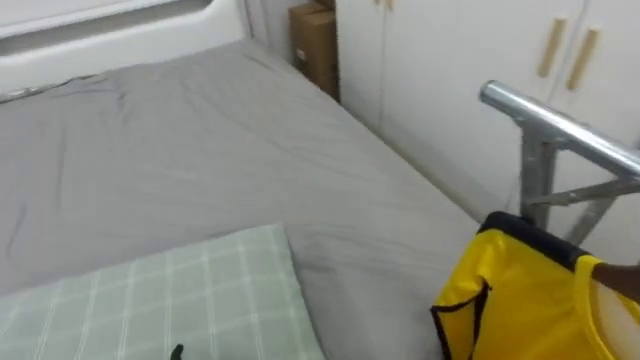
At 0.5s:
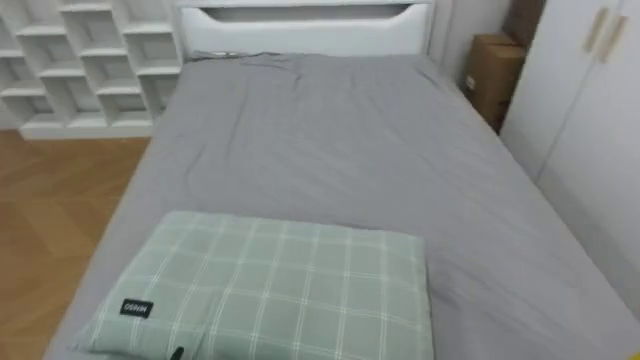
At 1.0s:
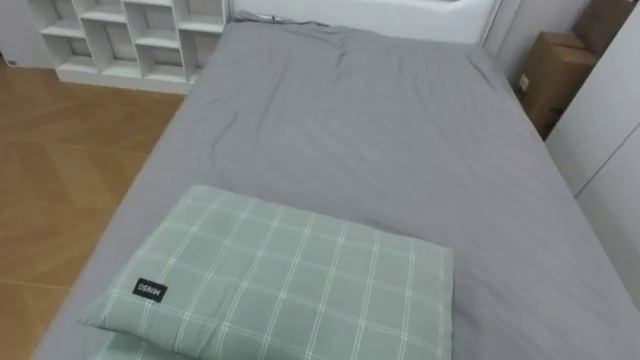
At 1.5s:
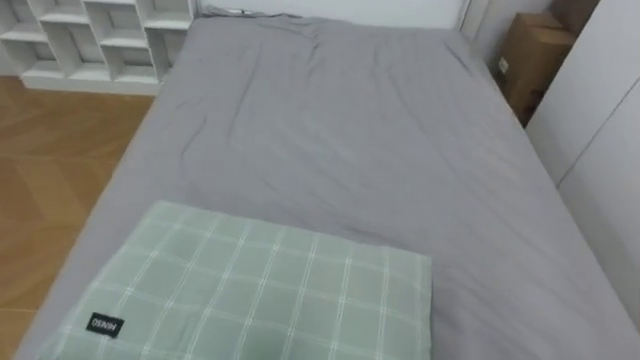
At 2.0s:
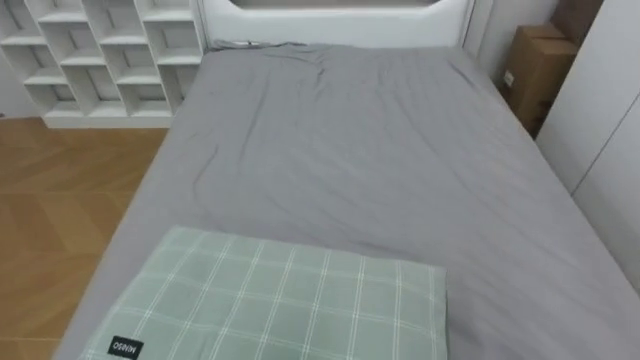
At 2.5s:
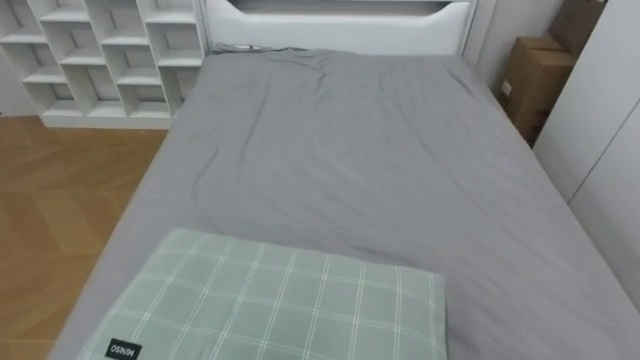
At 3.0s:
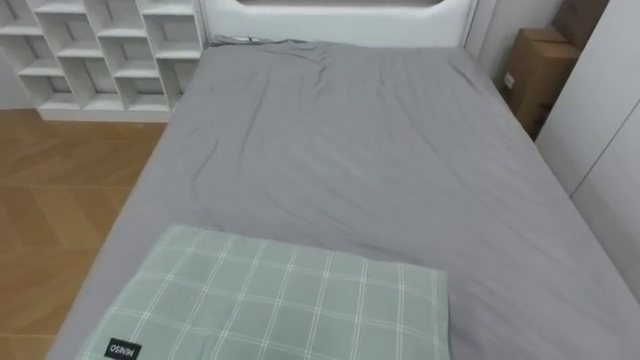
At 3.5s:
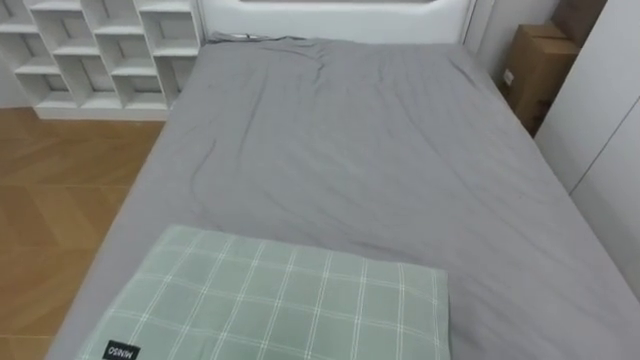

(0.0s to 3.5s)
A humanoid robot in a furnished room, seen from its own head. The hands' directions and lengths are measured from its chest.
Task of the whole recording: Pick up the yellow shirt on the bed and hang it on the clothes rack on the right.
0.0s - 2.0s: The robot turns to its left by approximately 30 degrees.

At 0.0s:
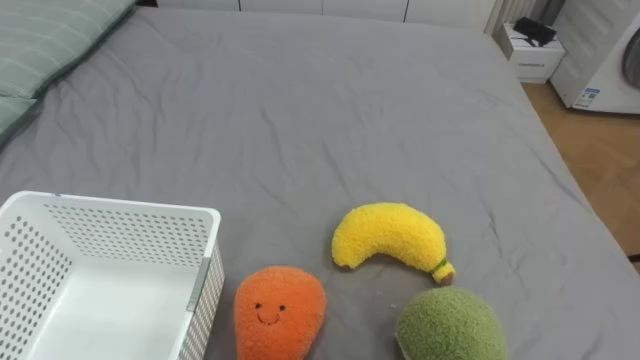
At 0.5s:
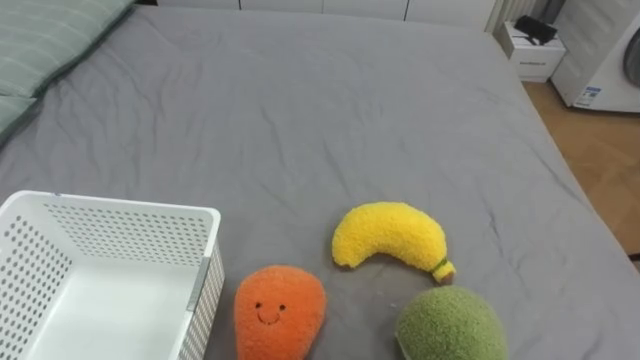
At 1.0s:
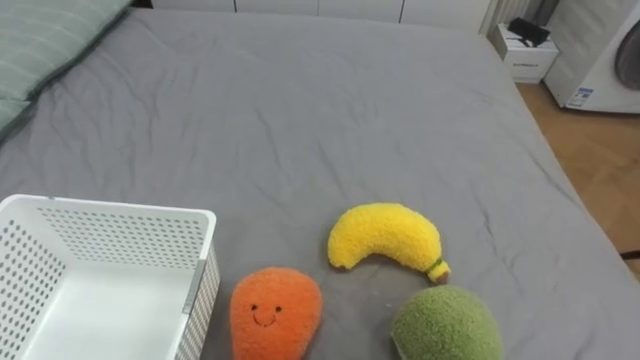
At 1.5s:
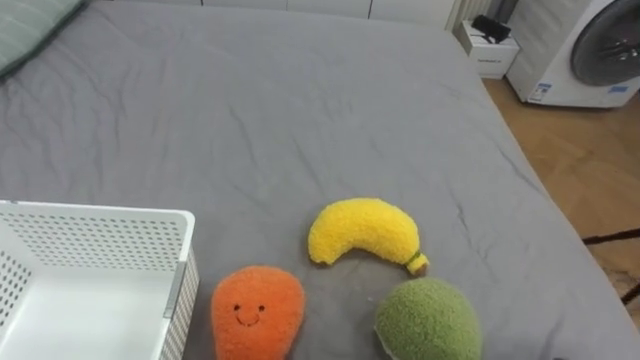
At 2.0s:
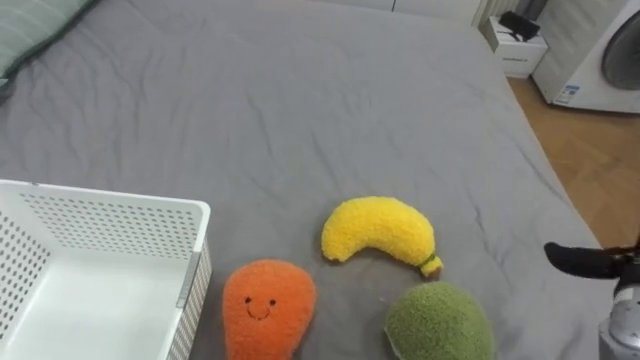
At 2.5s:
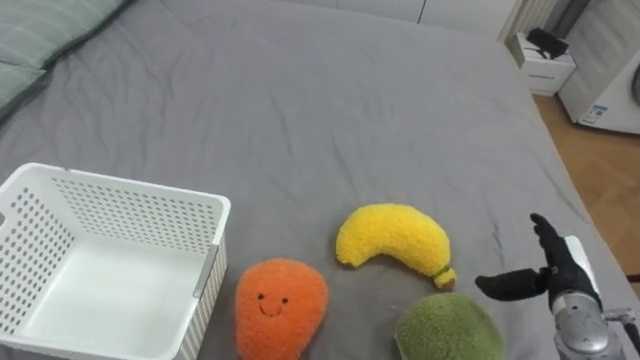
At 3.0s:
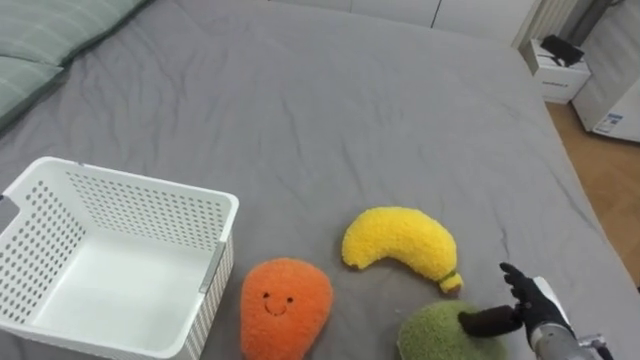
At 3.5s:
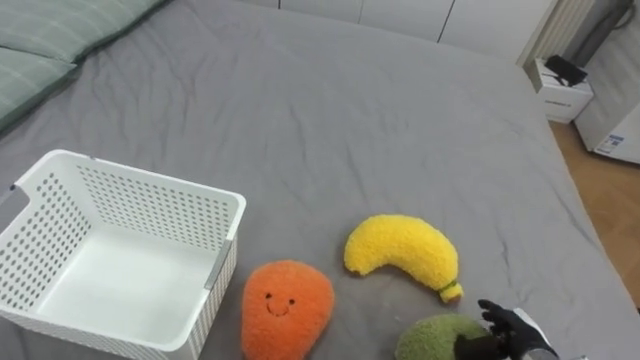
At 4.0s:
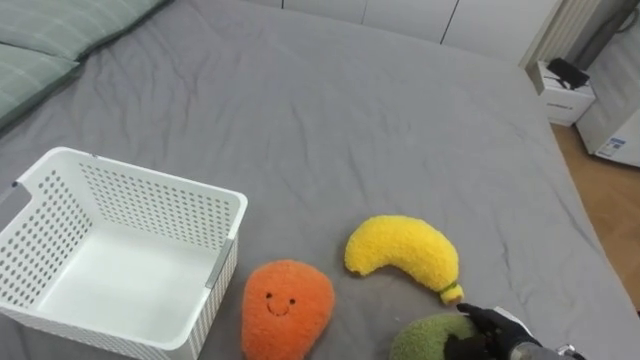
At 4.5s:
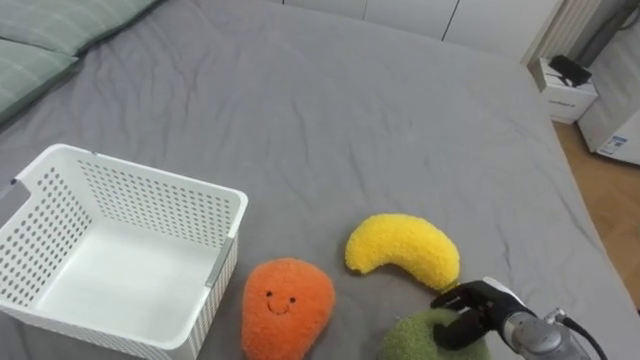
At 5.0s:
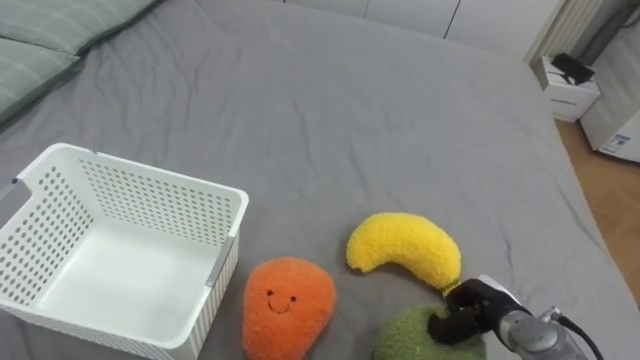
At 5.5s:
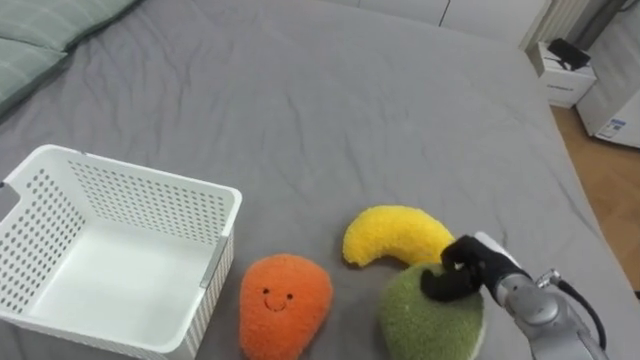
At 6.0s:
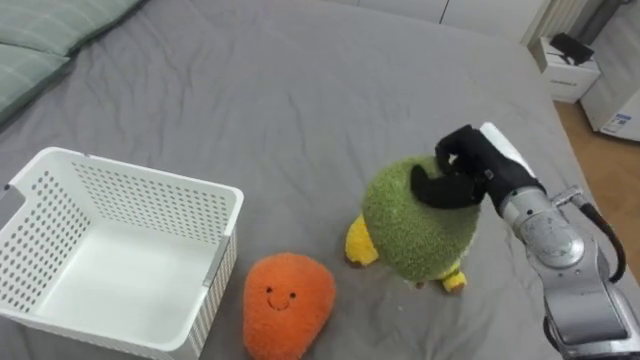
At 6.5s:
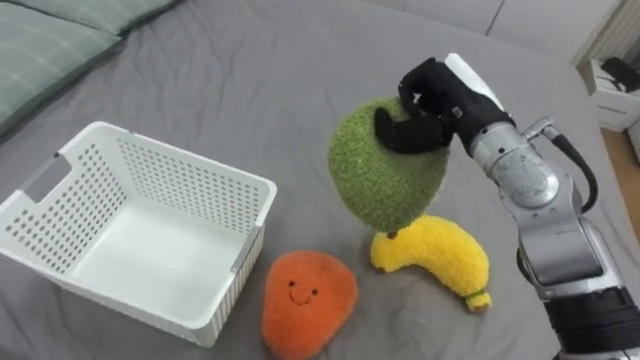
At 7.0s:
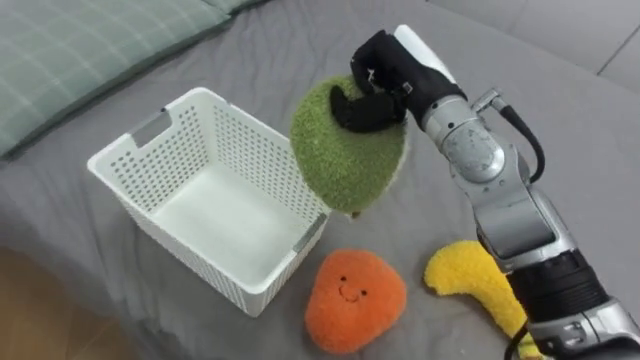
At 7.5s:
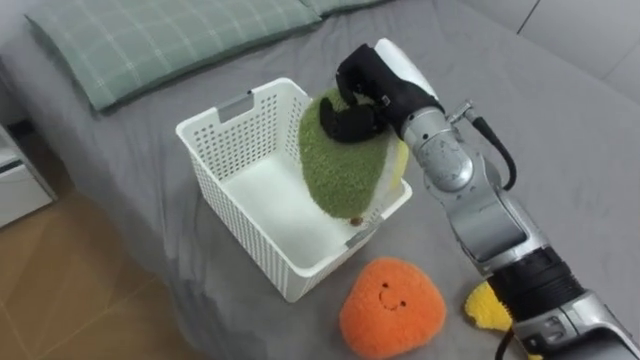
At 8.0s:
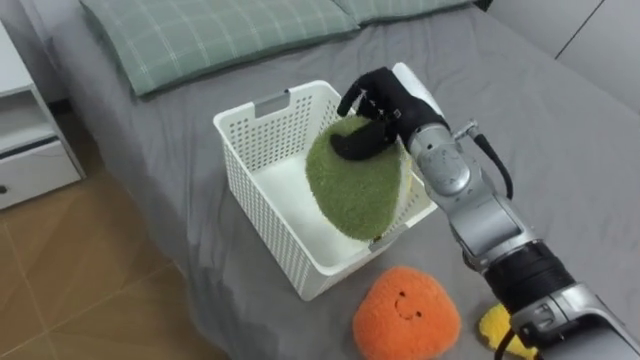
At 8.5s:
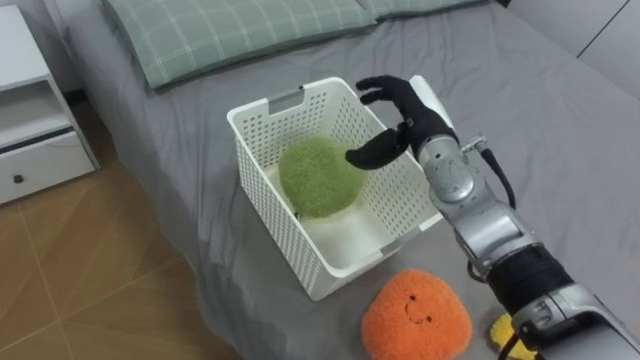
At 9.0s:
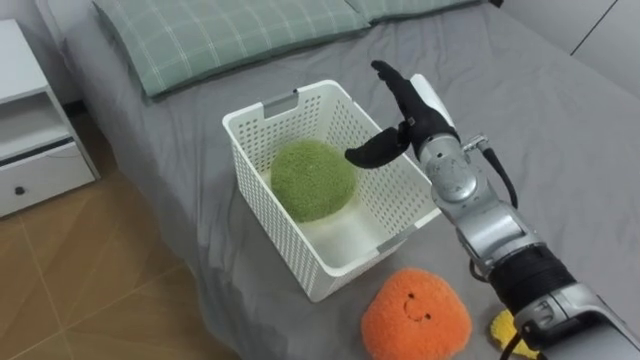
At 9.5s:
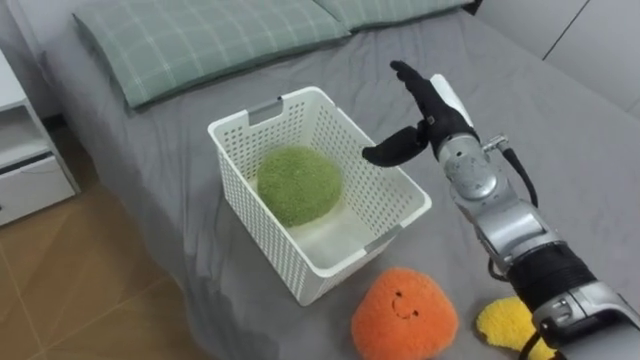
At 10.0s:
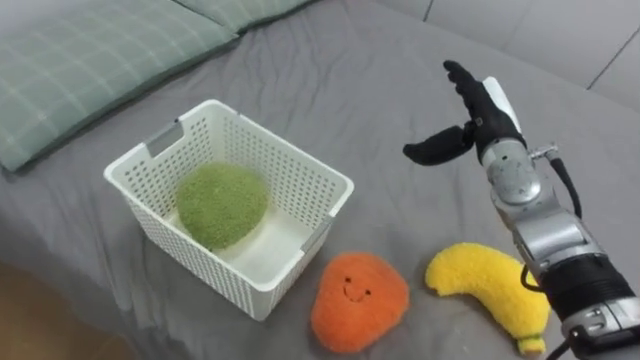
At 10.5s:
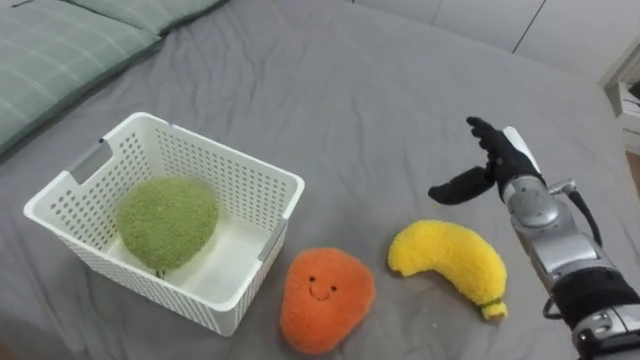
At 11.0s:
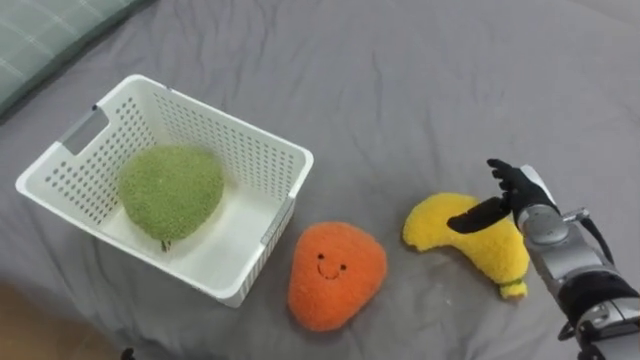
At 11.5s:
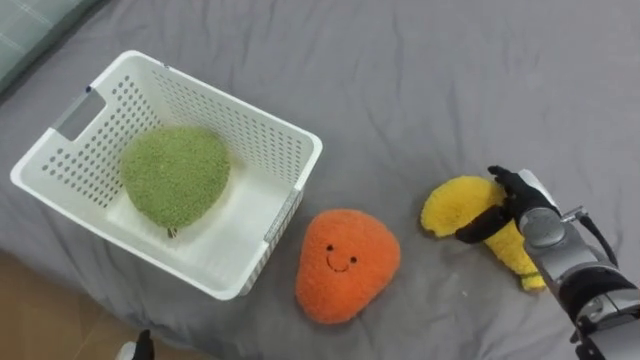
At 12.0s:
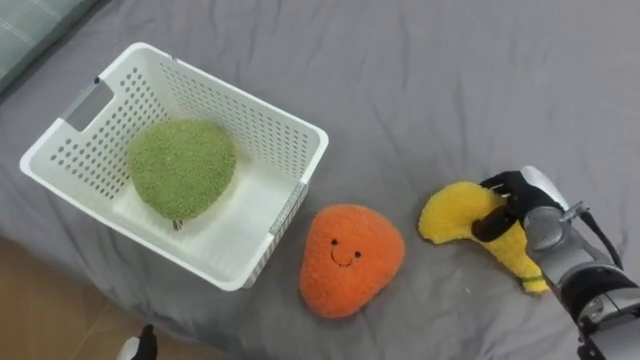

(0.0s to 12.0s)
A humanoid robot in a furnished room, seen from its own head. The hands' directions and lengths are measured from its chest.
Task of the whole recording: Put the toys on the bed into the basket on the left.
4.0s - 6.0s: The right hand heads upward and forward, covering about 25 cm, and closes its fingers.
6.0s - 8.0s: The right hand shifts some 15 cm to the left and forward.
8.0s - 10.0s: The right hand moves to the right, approximately 10 cm, and opens.
10.0s - 12.0s: The right hand goes about 15 cm downward and to the right.

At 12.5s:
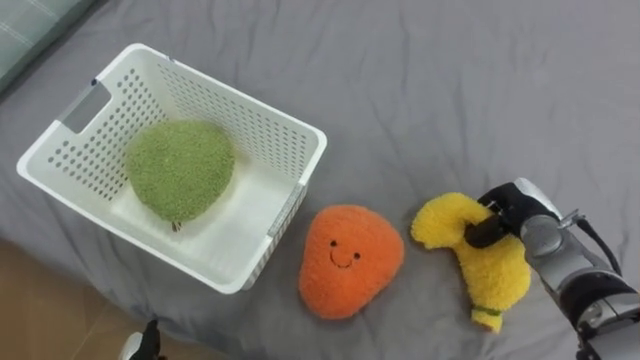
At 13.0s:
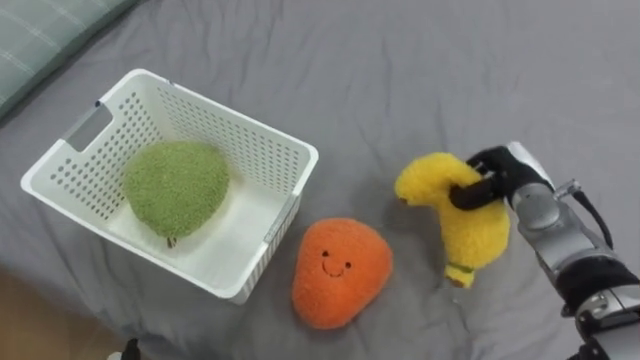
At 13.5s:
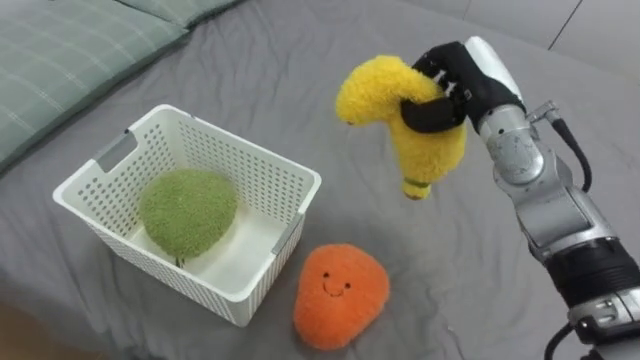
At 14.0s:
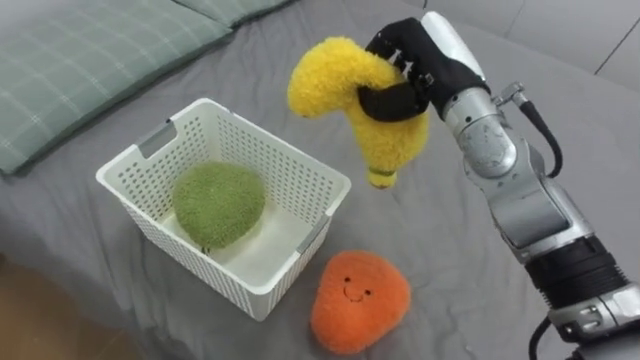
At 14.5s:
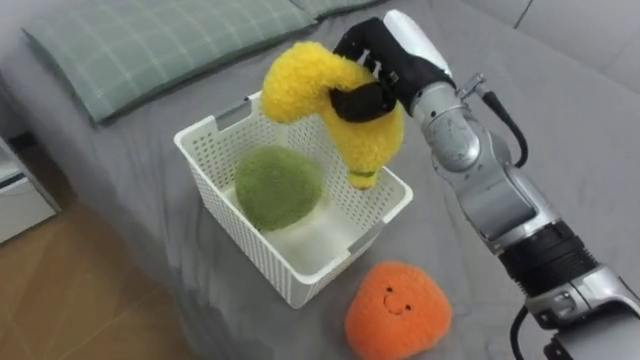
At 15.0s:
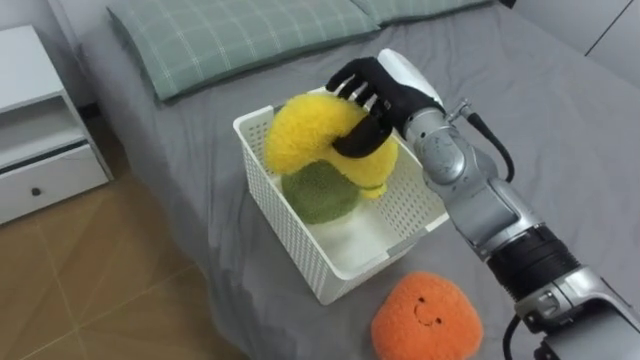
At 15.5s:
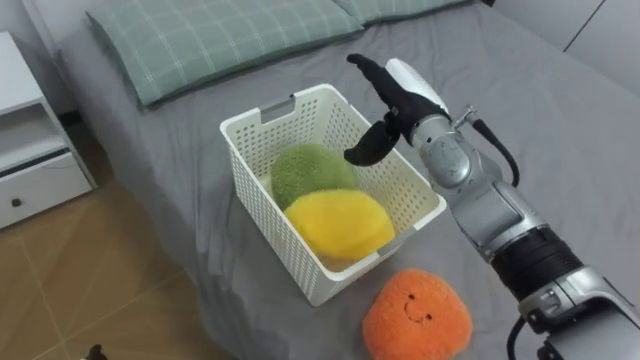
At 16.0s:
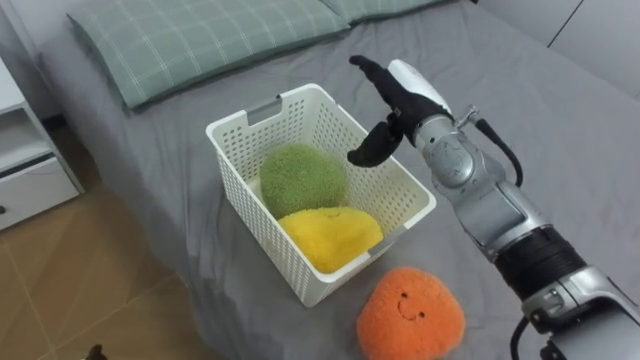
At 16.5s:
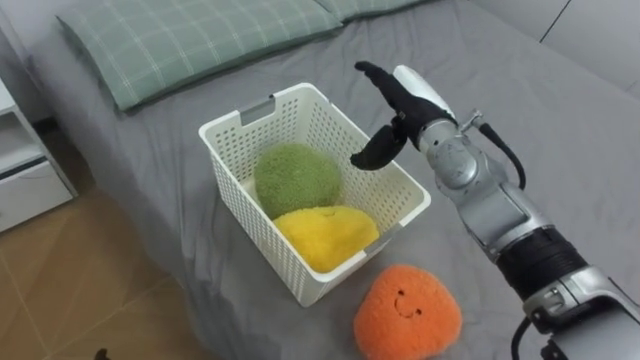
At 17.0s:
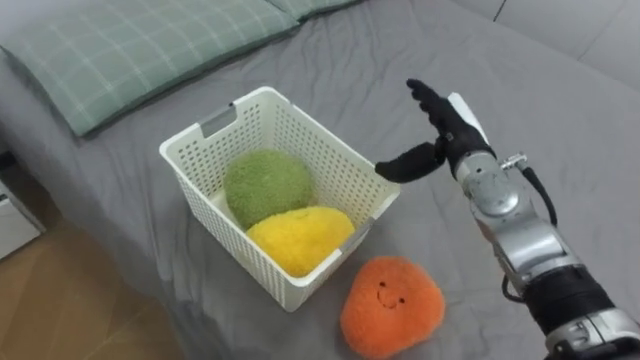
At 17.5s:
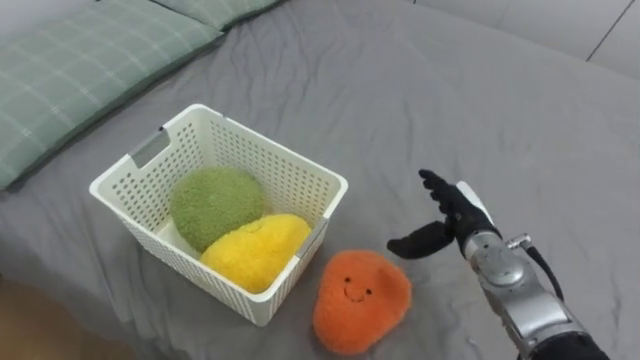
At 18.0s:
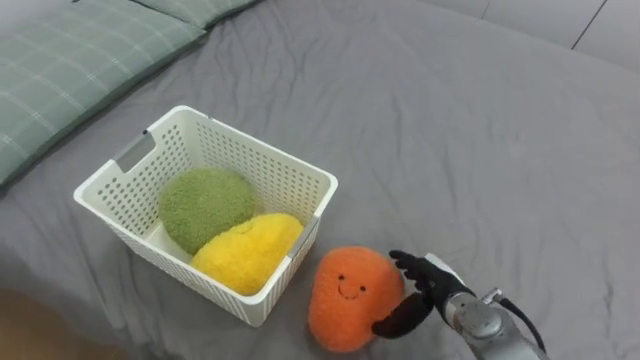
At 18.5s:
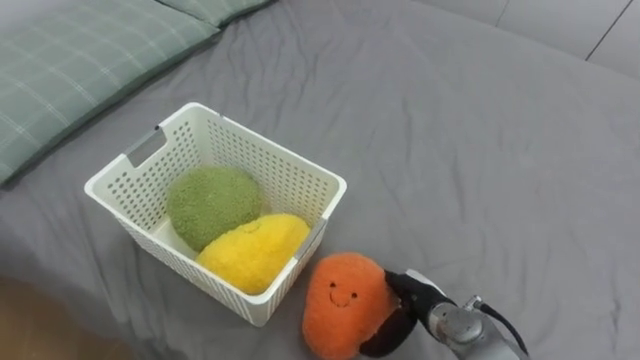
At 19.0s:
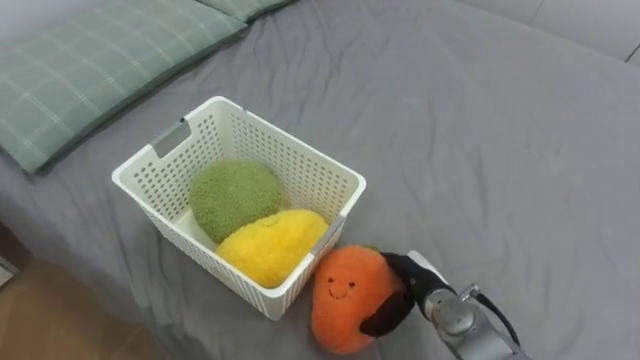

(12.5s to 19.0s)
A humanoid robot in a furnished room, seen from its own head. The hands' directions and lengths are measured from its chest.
Task of the whole recording: Put the toys on the bed into the basket on the left.
12.5s - 14.5s: The right hand travels upward and to the left by roughly 30 cm.
14.5s - 17.0s: The right hand travels downward and to the right by approximately 15 cm, and opens up.
17.0s - 19.0s: The right hand shifts some 25 cm downward and backward.
